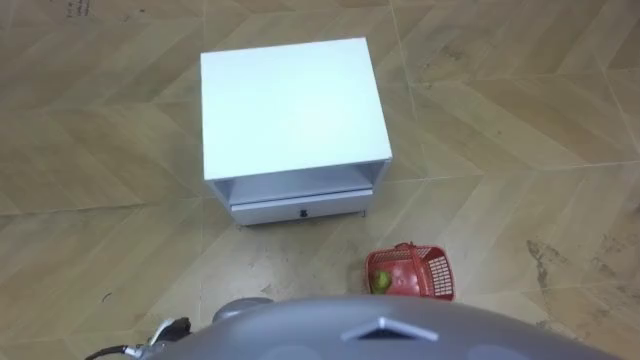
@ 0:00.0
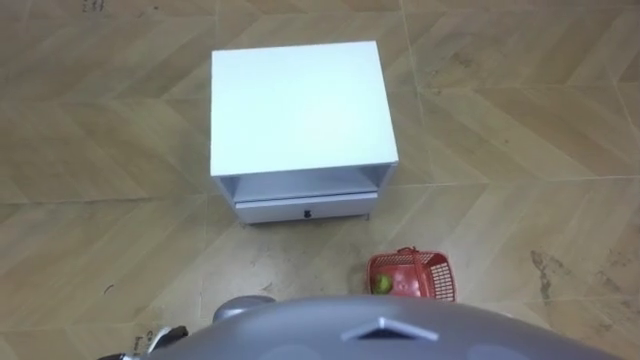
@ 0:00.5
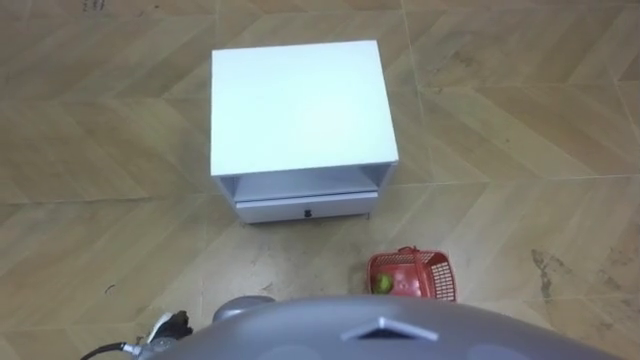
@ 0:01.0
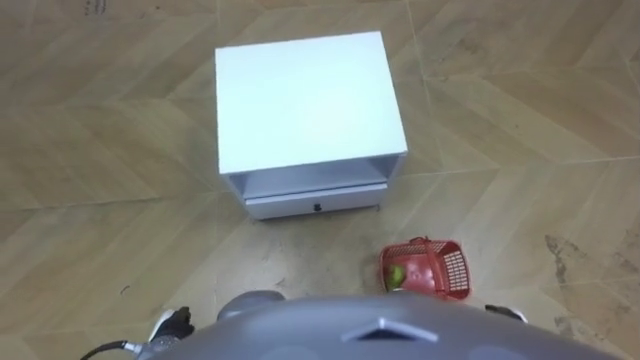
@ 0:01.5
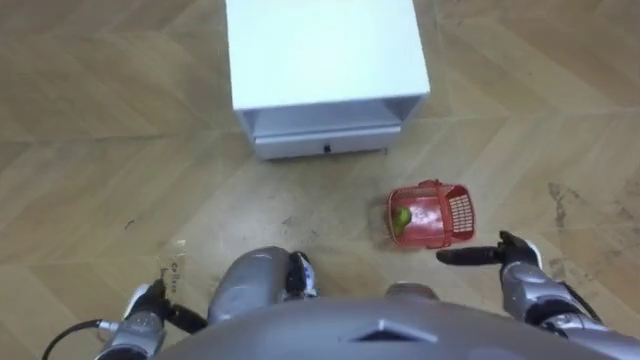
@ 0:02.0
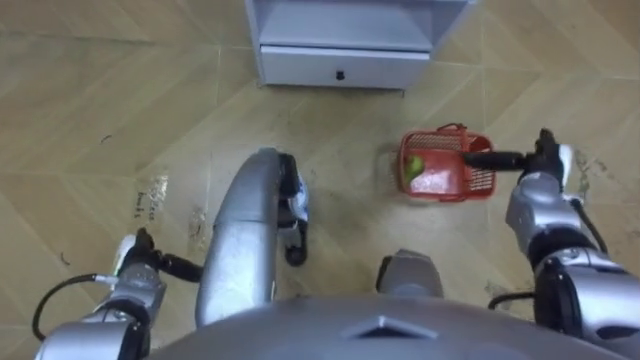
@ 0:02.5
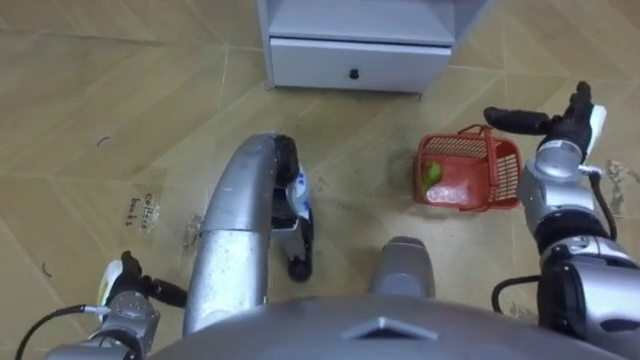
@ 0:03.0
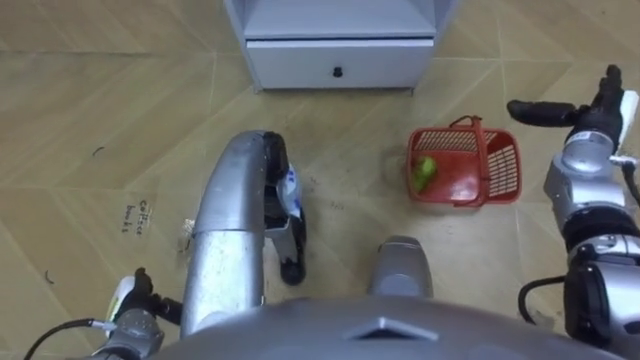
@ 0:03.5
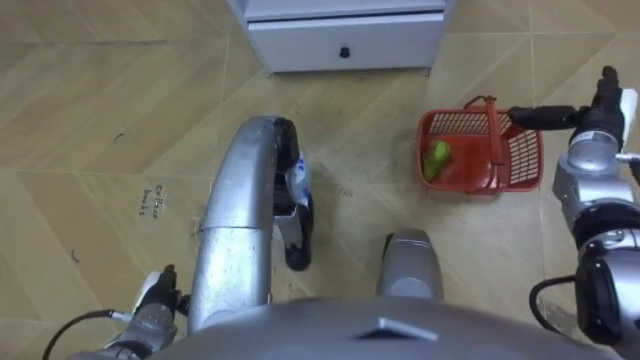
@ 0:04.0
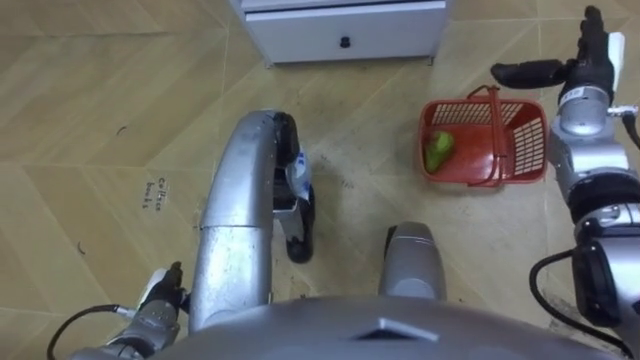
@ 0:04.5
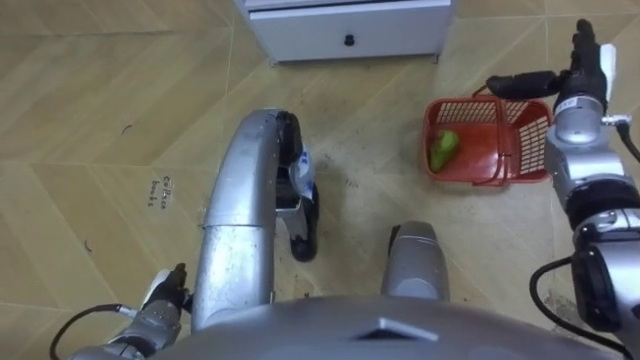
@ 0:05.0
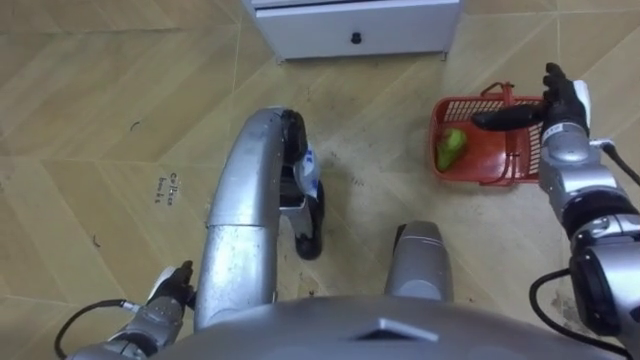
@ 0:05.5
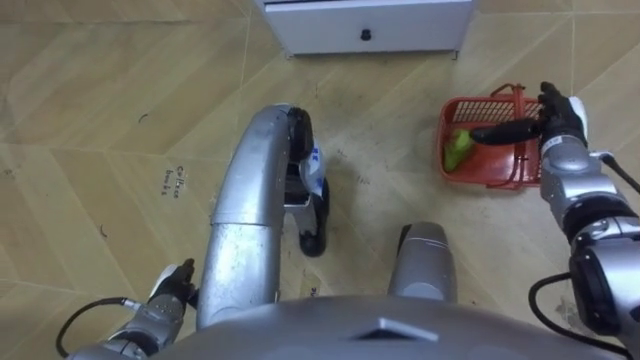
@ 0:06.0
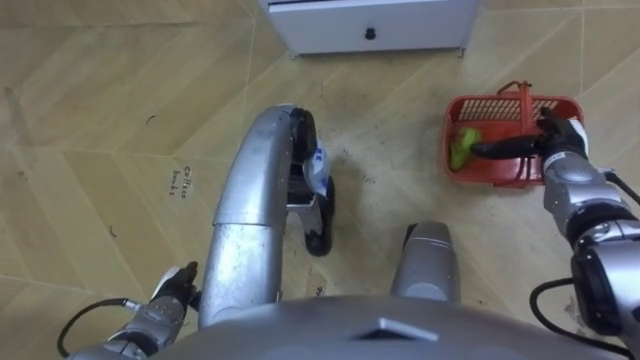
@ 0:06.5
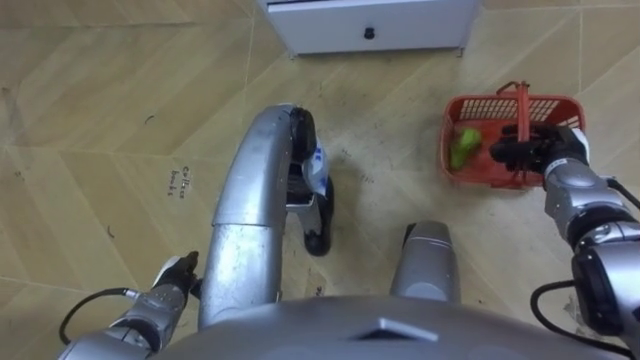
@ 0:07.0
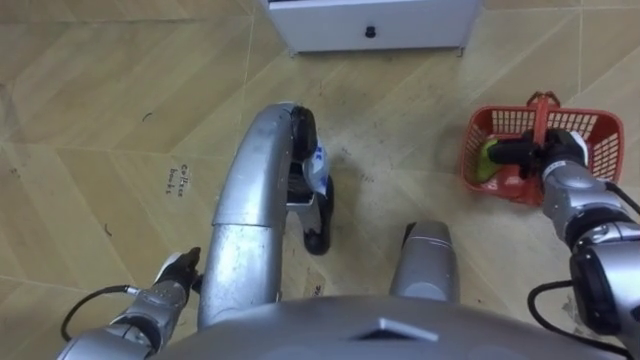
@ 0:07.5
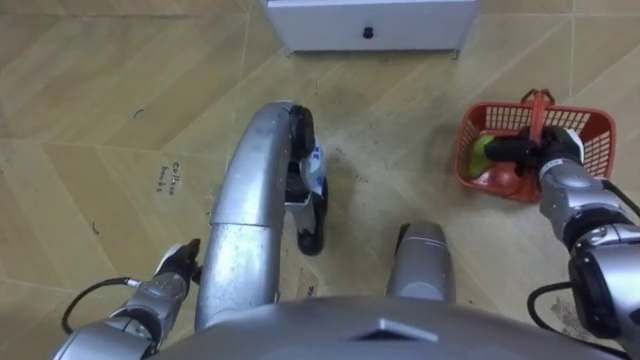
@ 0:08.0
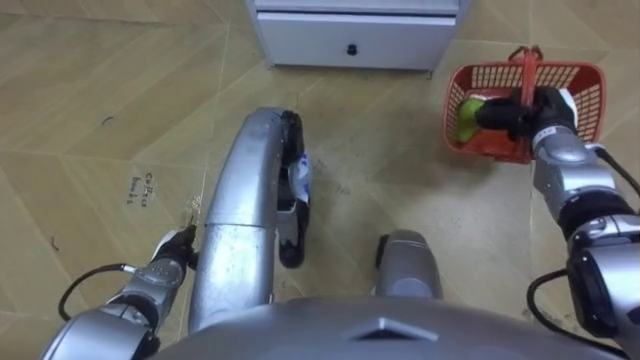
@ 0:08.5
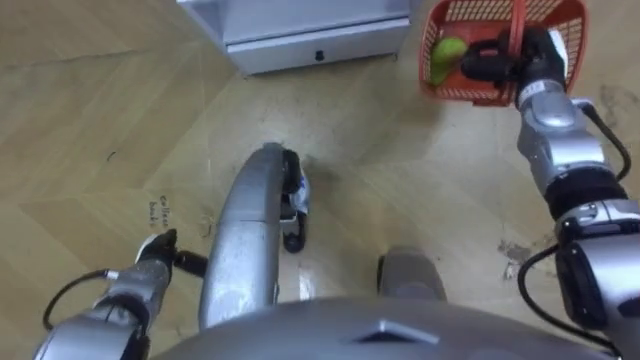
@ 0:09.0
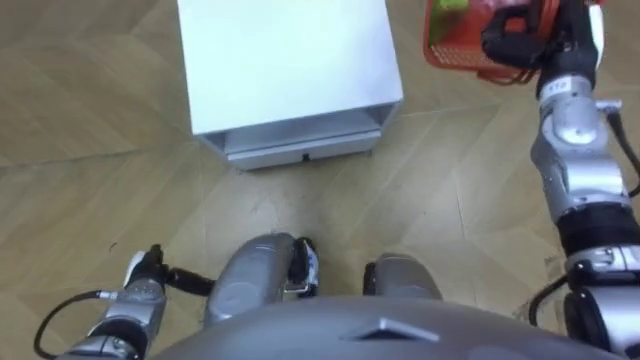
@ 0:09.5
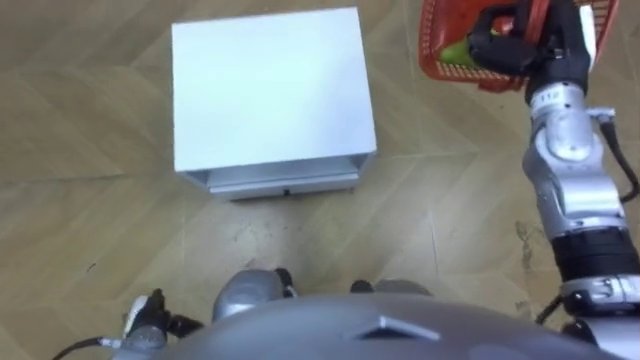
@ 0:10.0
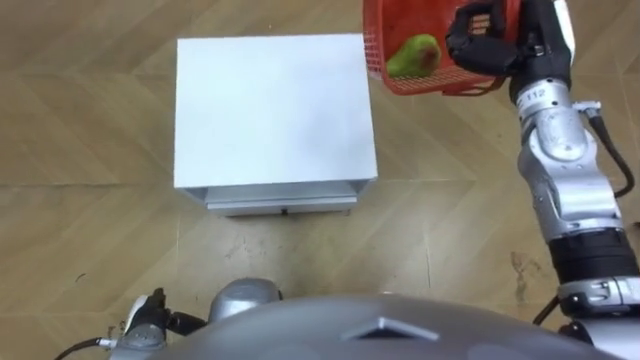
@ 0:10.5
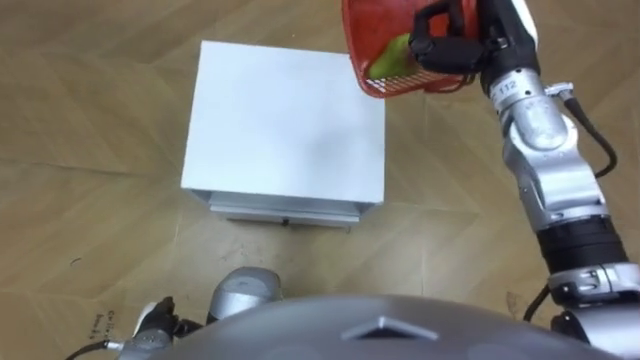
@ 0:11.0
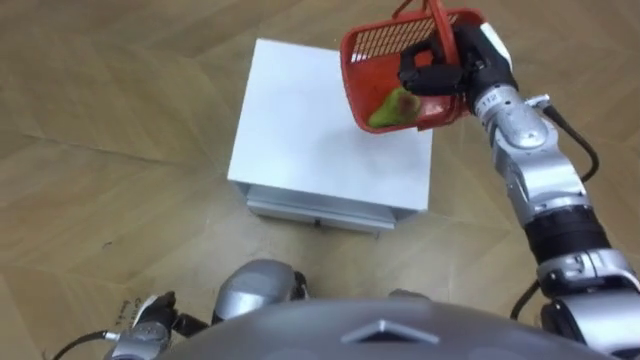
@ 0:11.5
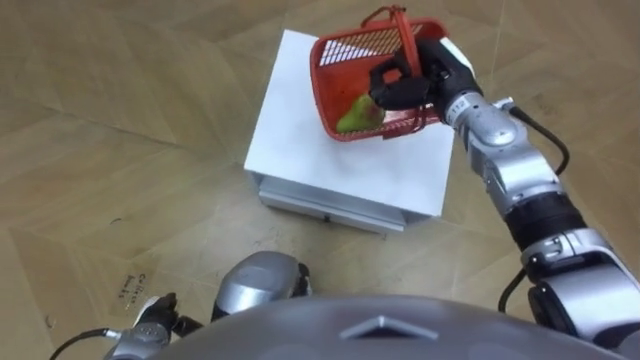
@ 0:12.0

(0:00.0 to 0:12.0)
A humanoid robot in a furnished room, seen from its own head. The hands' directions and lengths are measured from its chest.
Task of the whole recording: Pick up the fruit basket from the floor and place it on the cabinet.
0:02.0 - 0:04.0: The right hand travels forward and upward by some 25 cm. The left hand reaches roughly 10 cm forward, then returns.
0:06.0 - 0:08.0: The right hand closes up.
0:08.0 - 0:10.0: The right hand shifts about 20 cm upward, forward and to the left; the left hand goes about 10 cm backward.
0:10.0 - 0:12.0: The right hand heads to the left and downward, covering some 15 cm.

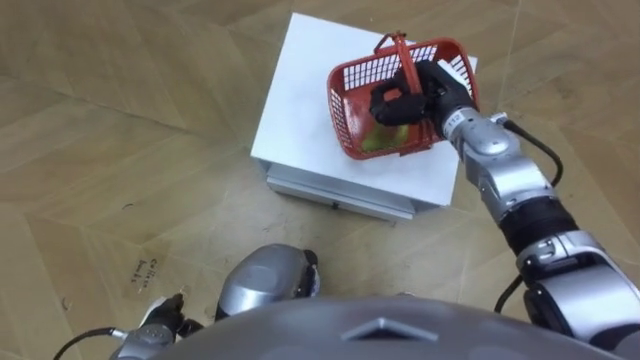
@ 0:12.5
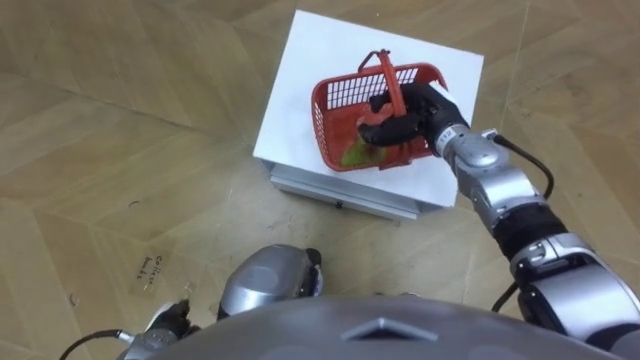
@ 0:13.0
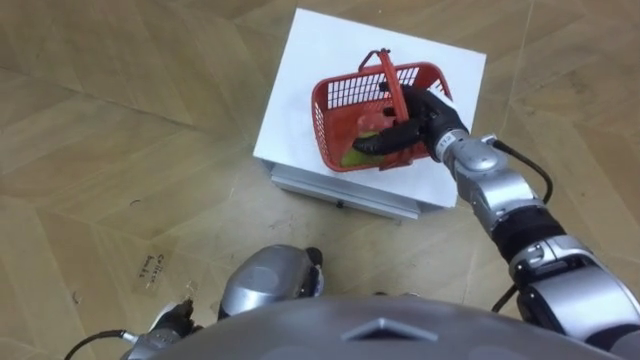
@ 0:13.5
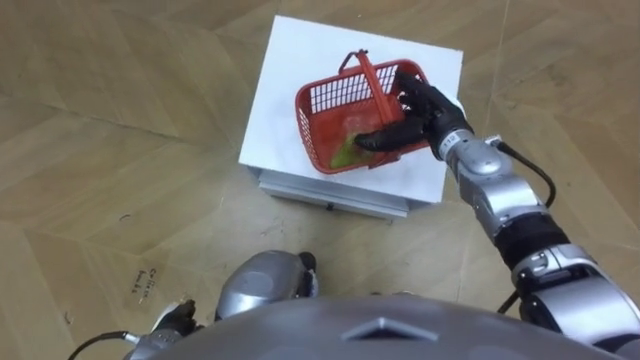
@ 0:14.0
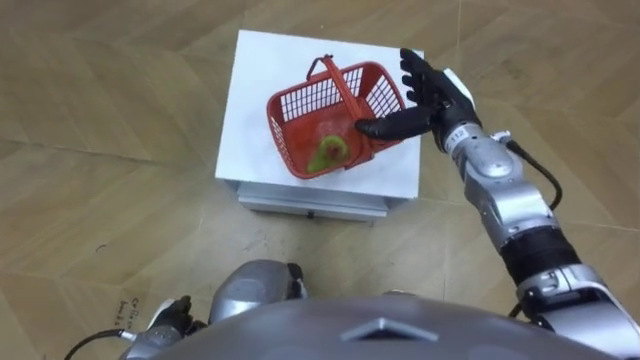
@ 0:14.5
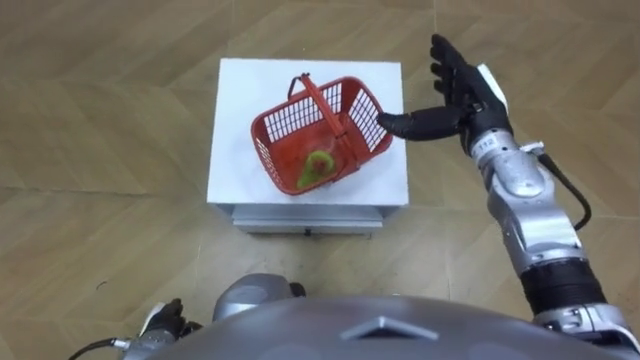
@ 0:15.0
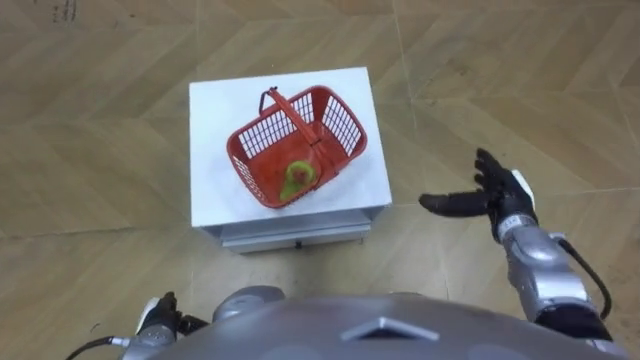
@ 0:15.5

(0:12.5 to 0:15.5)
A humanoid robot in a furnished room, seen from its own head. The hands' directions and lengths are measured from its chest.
Task of the whole recording: Pick up the fruit basket from the floor and place it on the cabinet.
0:12.5 - 0:14.0: The right hand opens.
0:14.0 - 0:15.5: The right hand shifts about 15 cm to the right and backward.

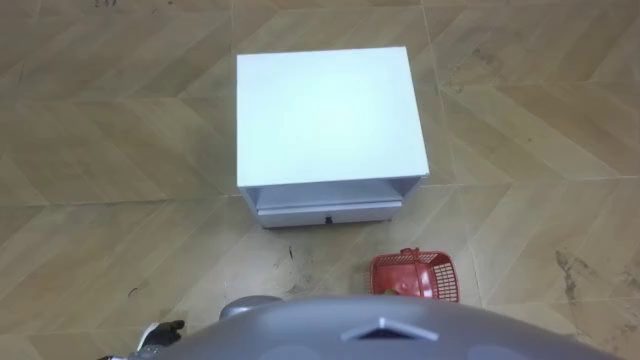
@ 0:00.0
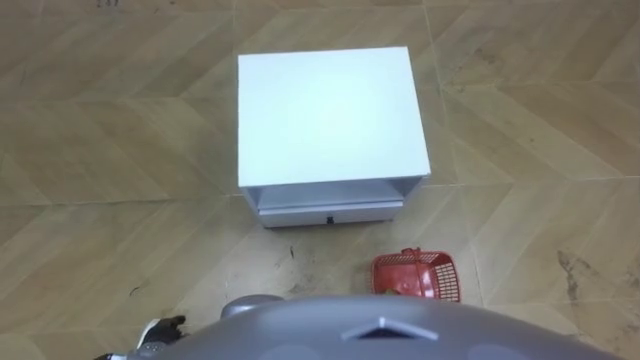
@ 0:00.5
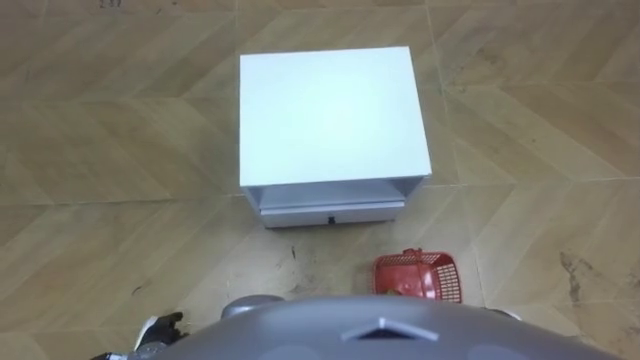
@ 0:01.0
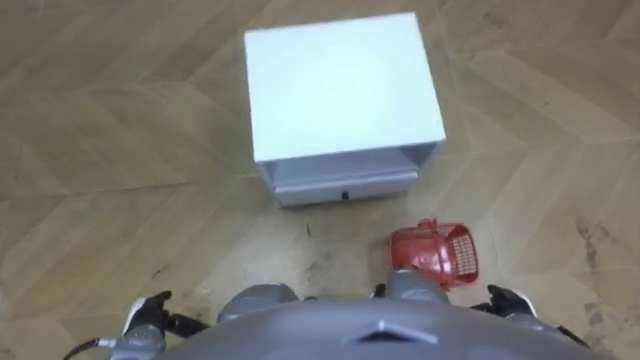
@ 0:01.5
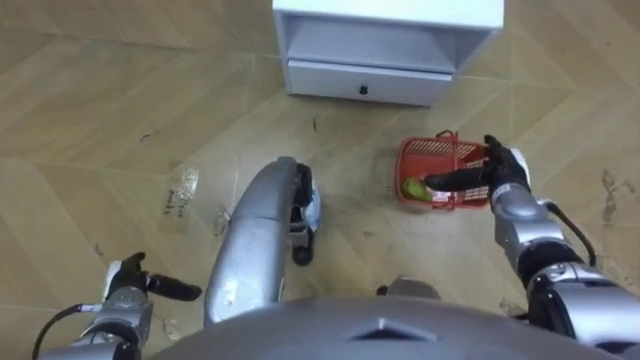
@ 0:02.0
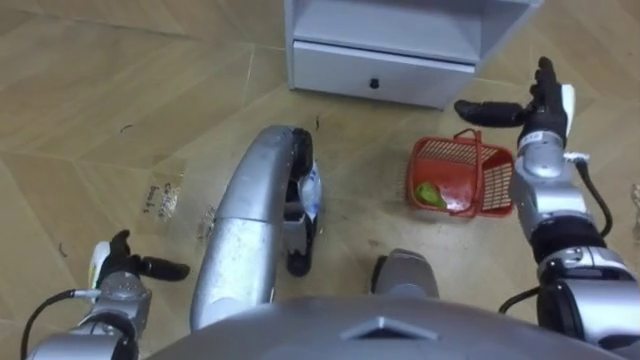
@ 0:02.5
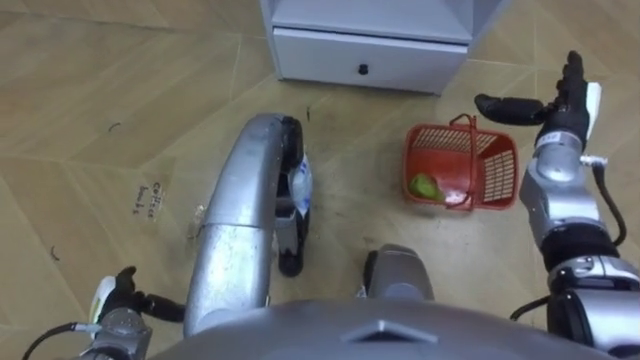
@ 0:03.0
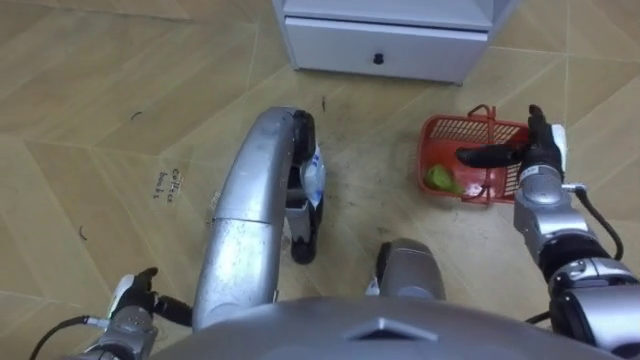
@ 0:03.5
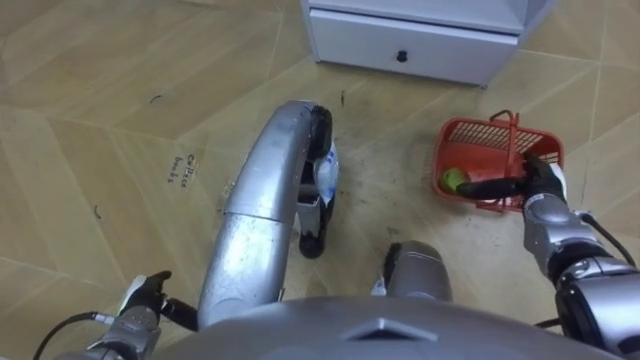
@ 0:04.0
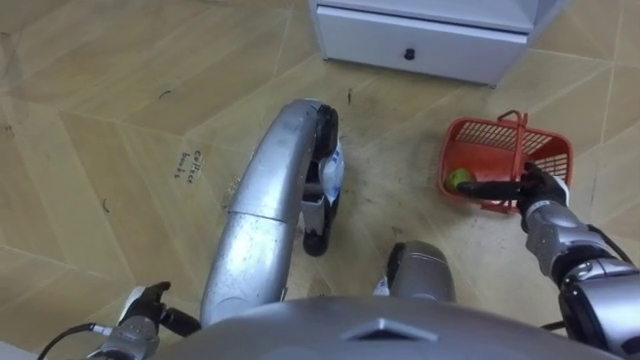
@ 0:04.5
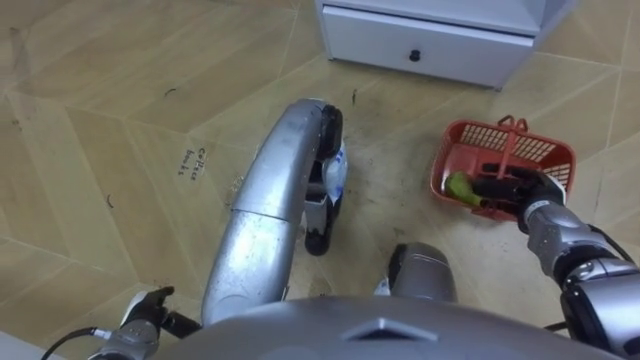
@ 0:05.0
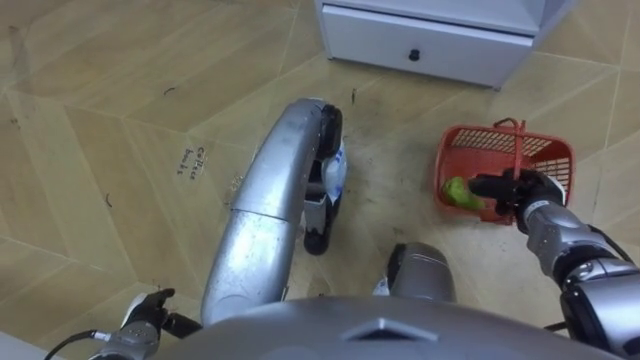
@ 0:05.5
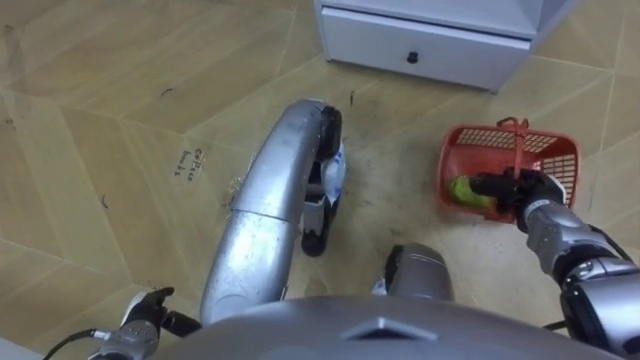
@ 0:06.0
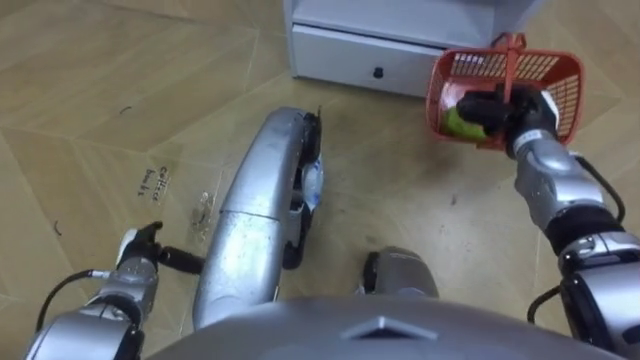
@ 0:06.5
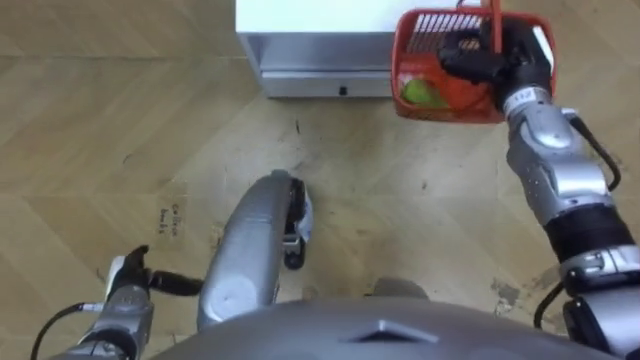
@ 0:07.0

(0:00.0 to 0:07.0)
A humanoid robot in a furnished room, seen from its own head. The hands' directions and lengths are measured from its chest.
Task of the whole recording: Pick up the fruit basket from the floor and place it on the cabinet.
0:03.5 - 0:05.0: The right hand heads backward, covering some 5 cm, and closes up.
0:05.0 - 0:07.0: The left hand is displaced forward by some 5 cm. The right hand is displaced upward, forward and to the left by about 20 cm.
